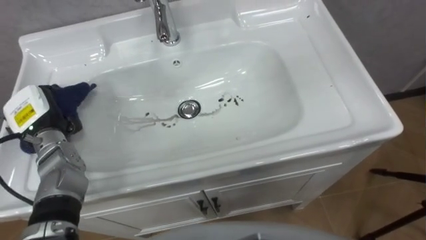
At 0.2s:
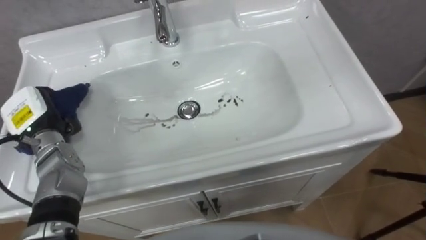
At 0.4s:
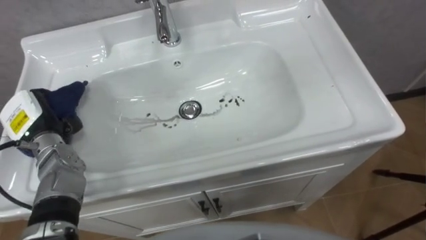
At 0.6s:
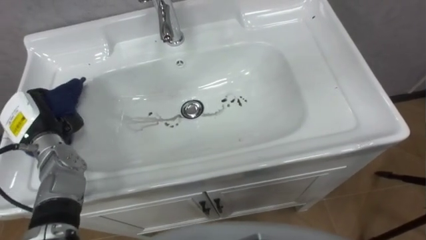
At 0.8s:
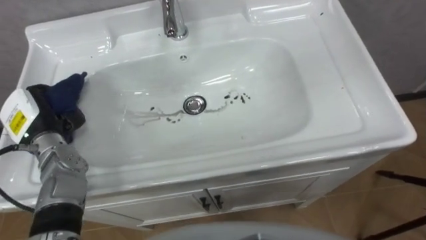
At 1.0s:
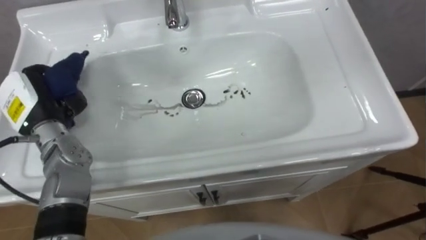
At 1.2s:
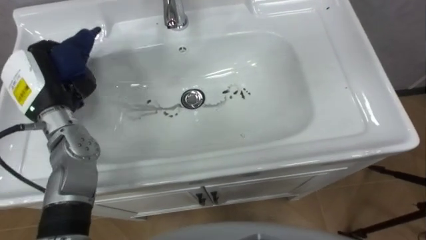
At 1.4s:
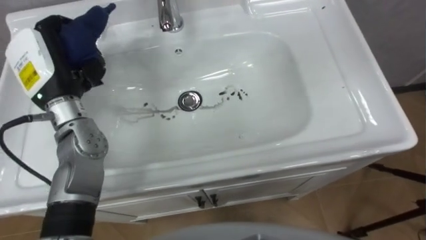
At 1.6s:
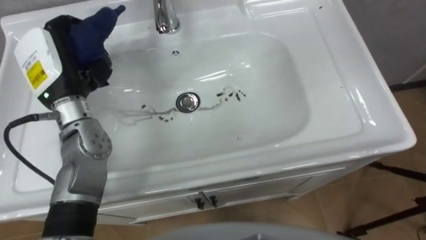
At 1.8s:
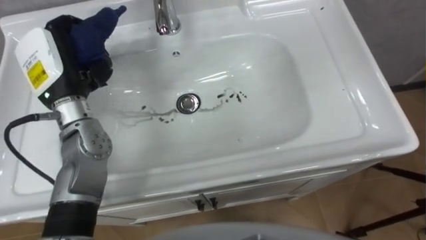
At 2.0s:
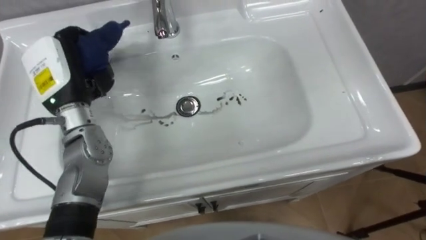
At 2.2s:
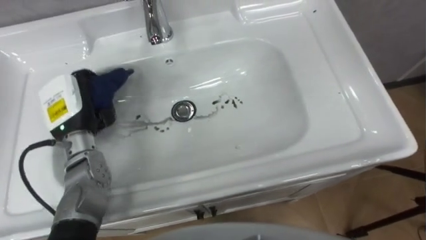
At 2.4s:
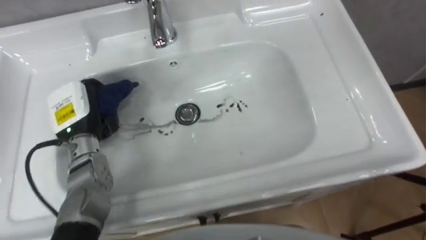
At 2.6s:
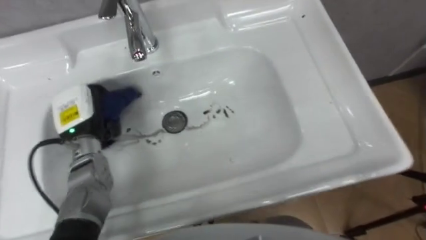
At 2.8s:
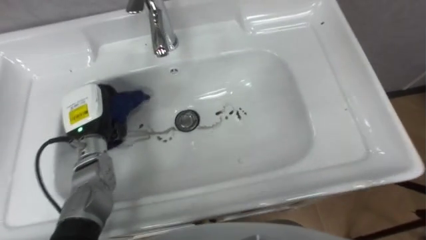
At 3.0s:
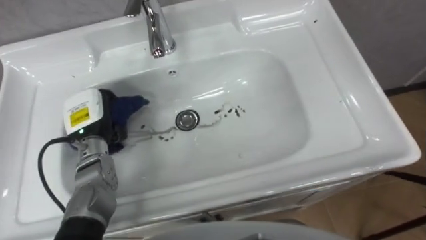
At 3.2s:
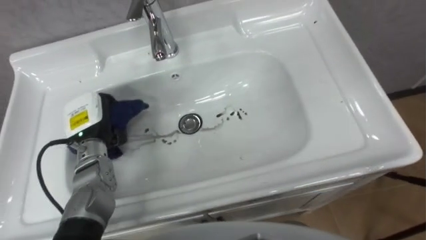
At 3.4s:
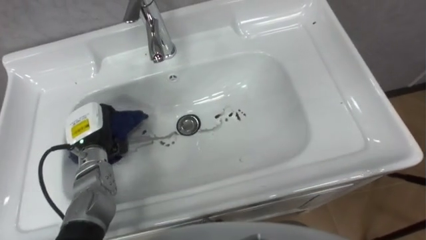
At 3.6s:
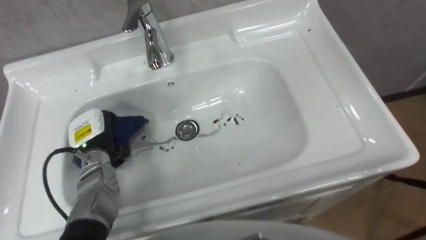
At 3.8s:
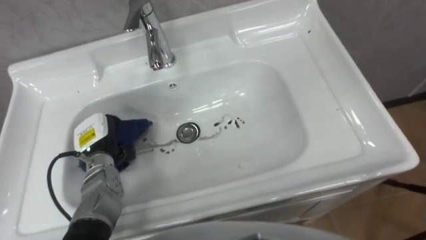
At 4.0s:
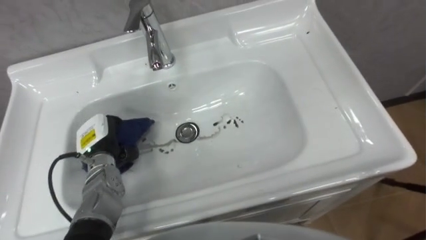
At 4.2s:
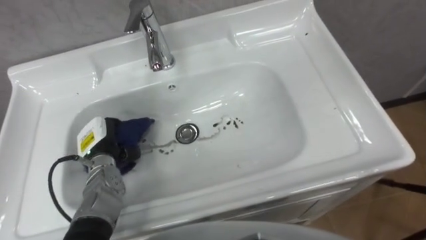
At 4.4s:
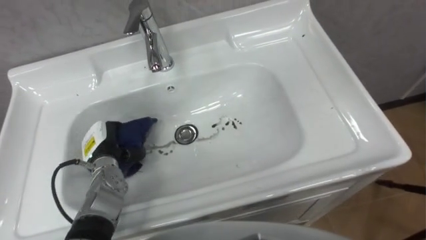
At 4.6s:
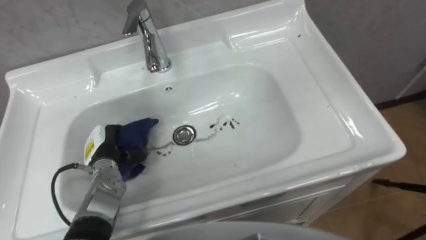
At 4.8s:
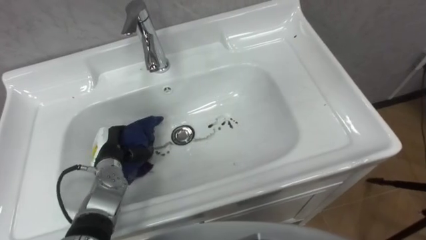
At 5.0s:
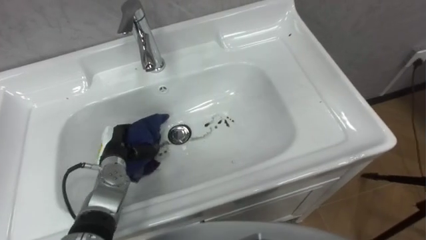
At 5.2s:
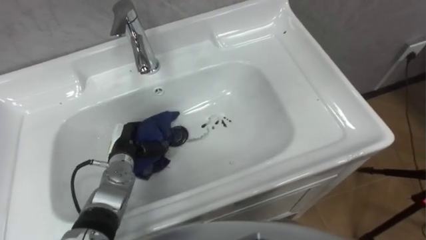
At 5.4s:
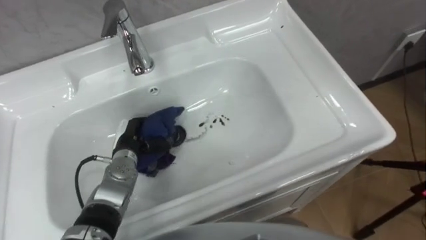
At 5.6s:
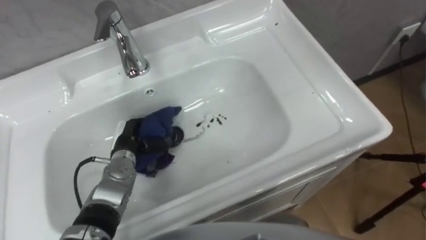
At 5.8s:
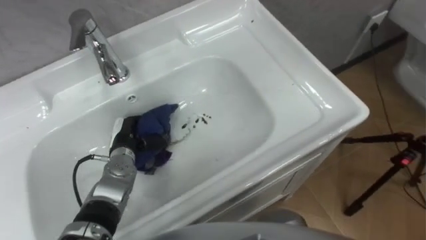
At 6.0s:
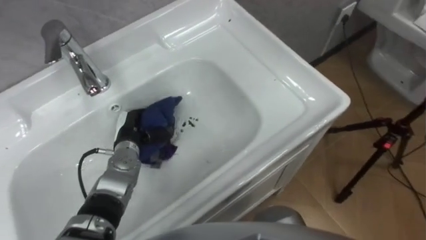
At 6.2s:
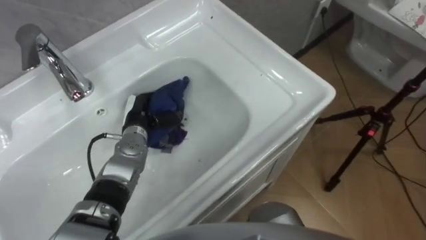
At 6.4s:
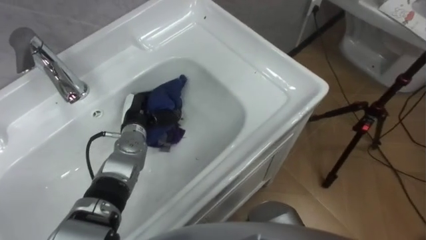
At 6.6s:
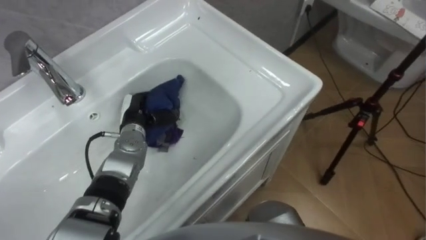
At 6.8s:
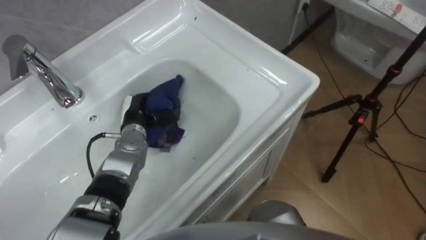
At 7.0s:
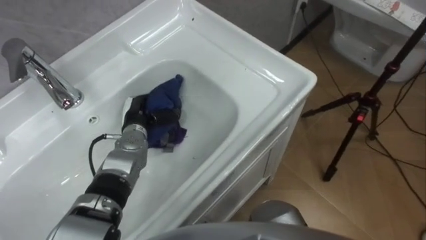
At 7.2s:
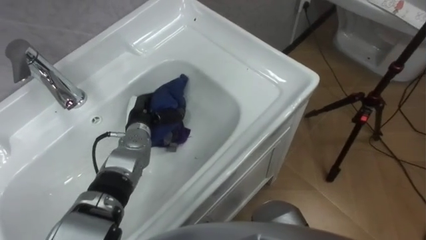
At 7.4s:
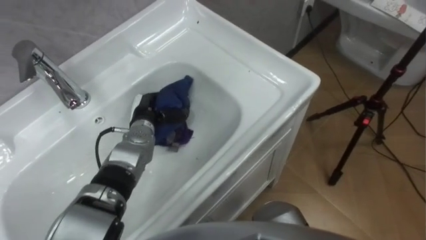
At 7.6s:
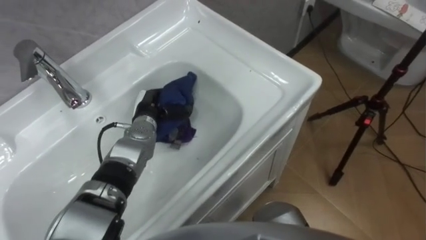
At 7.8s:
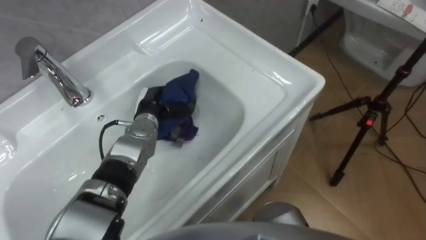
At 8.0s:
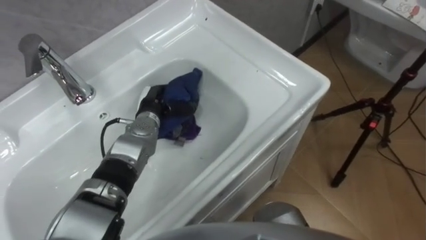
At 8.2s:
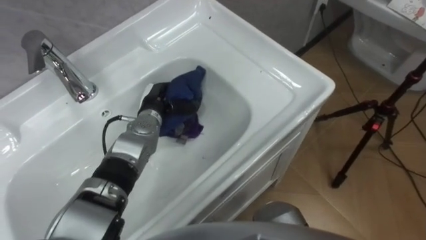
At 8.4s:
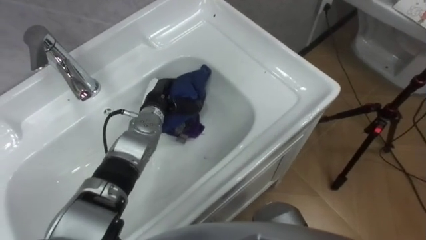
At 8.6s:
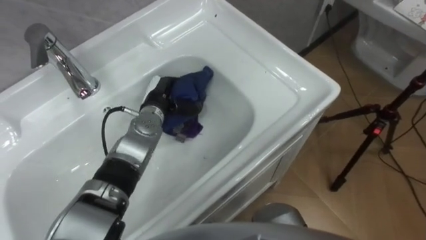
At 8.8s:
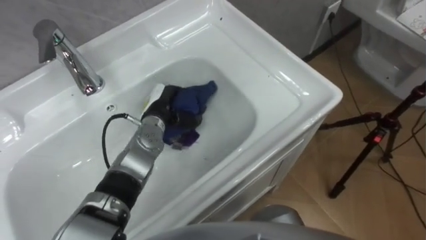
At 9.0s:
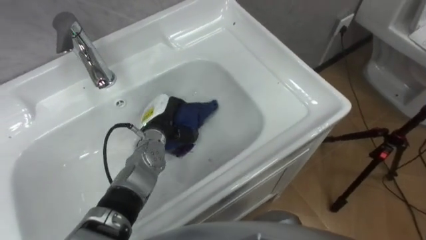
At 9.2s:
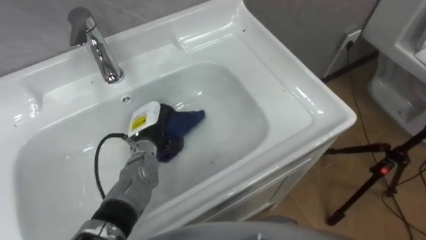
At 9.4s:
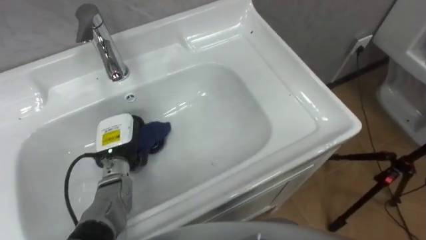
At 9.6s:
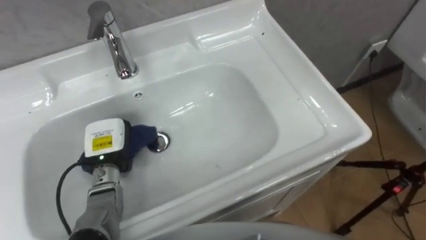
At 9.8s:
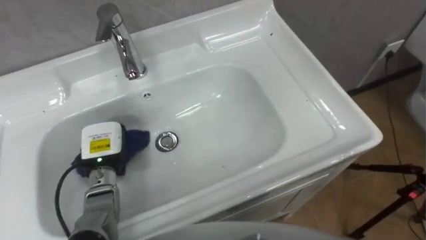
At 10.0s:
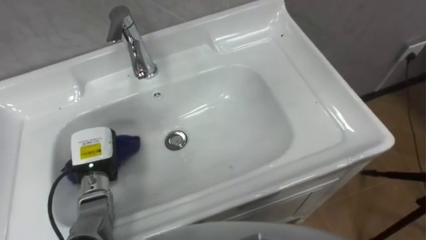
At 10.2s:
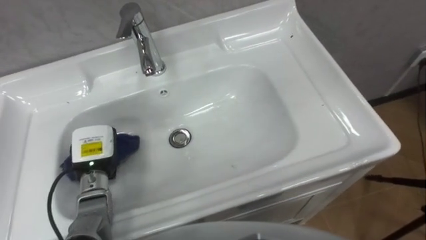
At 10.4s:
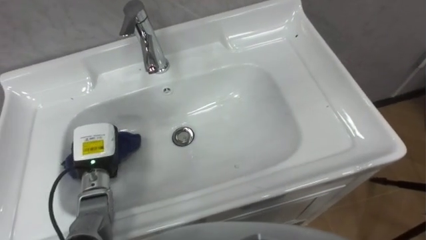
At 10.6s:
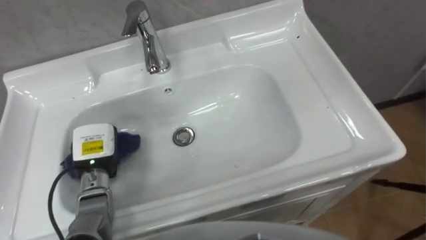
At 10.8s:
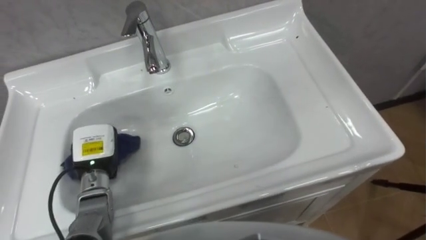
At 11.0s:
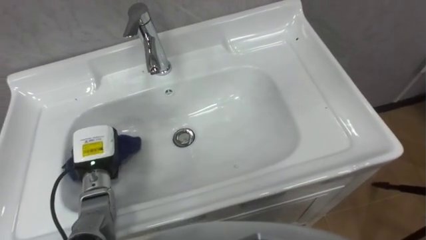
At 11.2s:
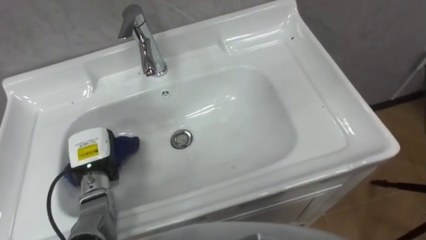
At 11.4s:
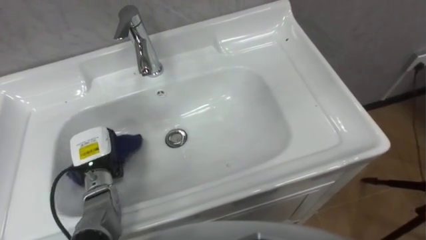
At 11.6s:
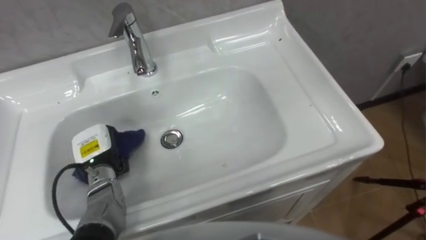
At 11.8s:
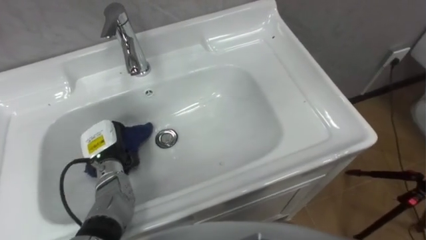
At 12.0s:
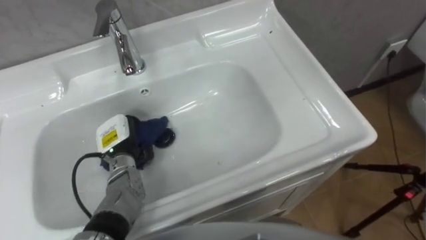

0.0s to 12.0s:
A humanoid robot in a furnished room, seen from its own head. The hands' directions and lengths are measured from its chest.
Task of the whole recording: Use the cloth on the right to wipe away the black stain in the sink.
0.0s to 1.6s: The left hand travels upward and to the right by about 15 cm.
1.6s to 3.0s: The left hand heads downward, covering some 10 cm.
3.0s to 4.4s: The left hand moves downward, approximately 10 cm.
4.4s to 6.0s: The left hand shifts approximately 5 cm to the right.
6.0s to 7.6s: The left hand goes roughly 5 cm forward.
9.0s to 10.4s: The left hand goes approximately 15 cm to the left and backward.
10.4s to 12.0s: The left hand changes place by approximately 5 cm.

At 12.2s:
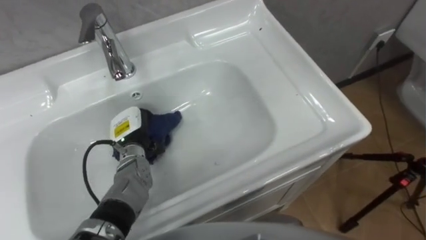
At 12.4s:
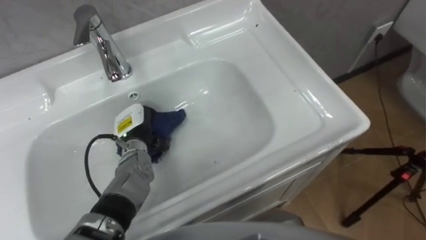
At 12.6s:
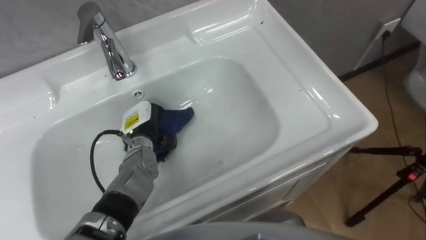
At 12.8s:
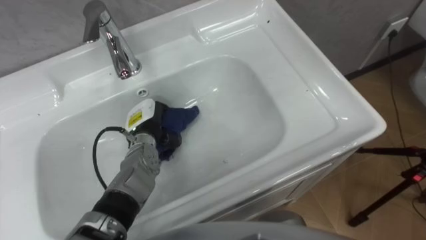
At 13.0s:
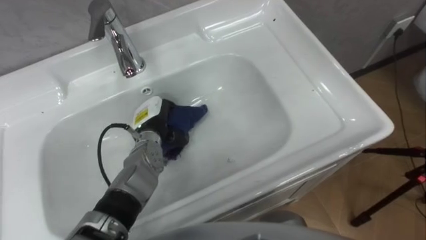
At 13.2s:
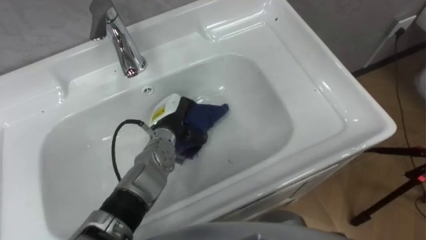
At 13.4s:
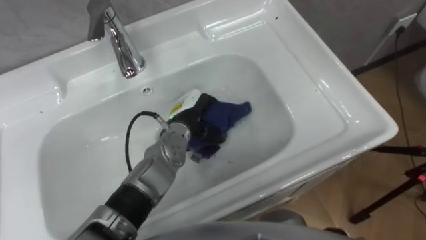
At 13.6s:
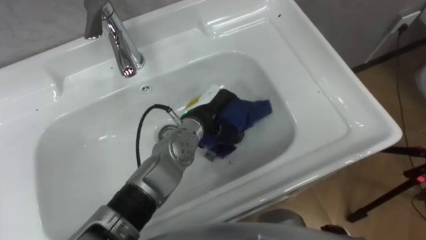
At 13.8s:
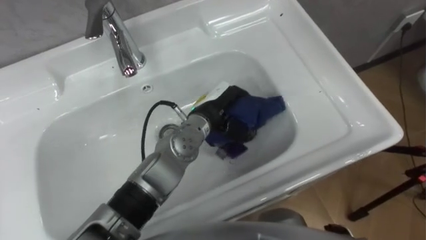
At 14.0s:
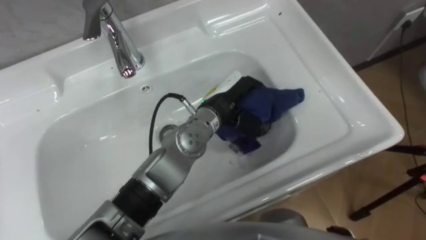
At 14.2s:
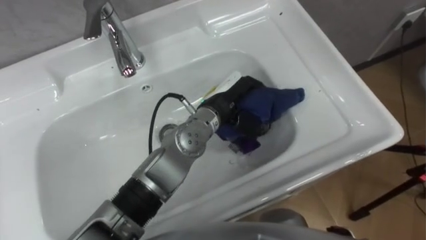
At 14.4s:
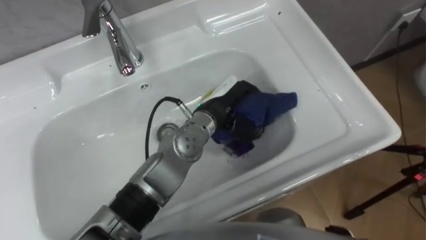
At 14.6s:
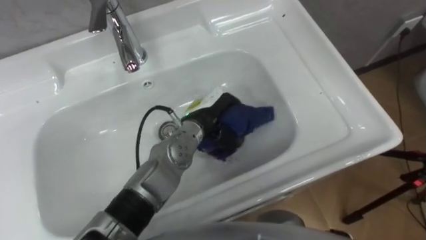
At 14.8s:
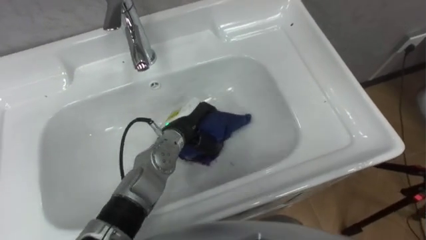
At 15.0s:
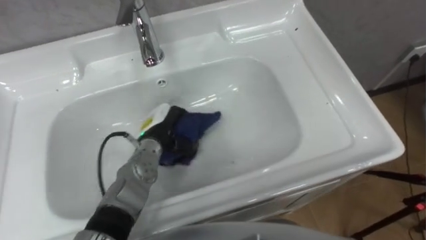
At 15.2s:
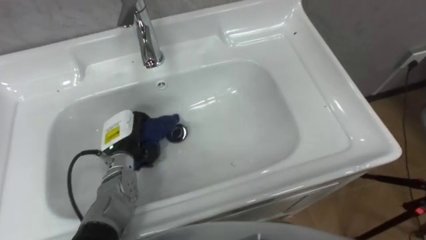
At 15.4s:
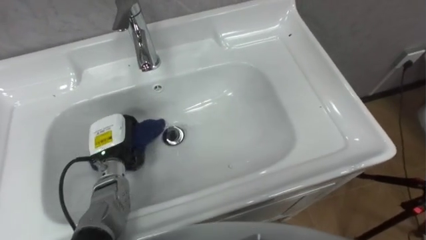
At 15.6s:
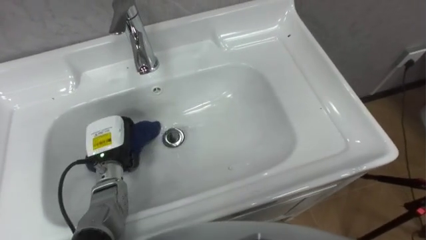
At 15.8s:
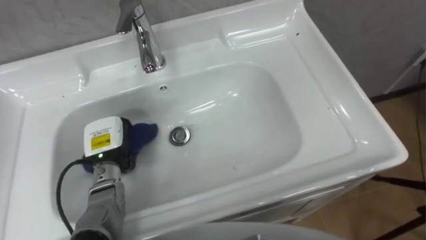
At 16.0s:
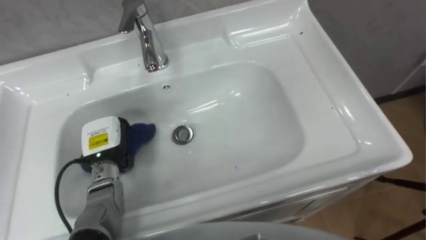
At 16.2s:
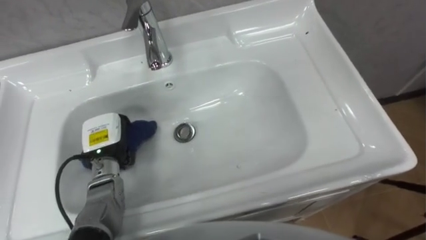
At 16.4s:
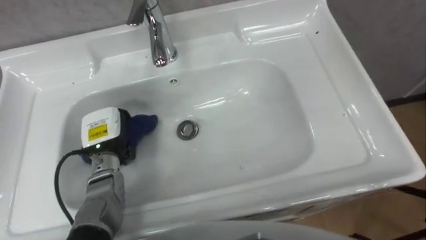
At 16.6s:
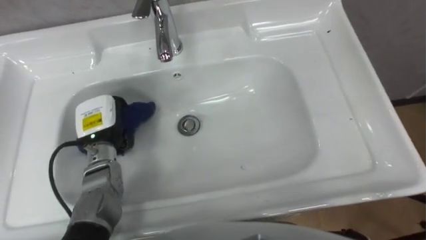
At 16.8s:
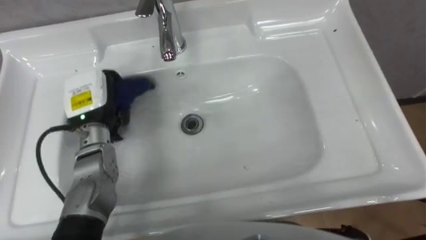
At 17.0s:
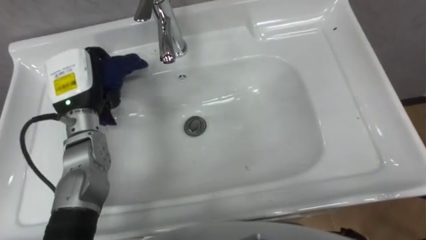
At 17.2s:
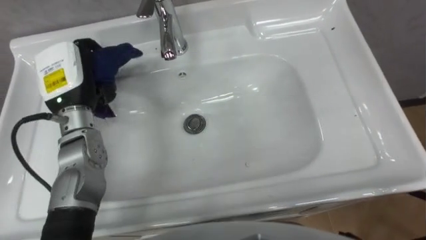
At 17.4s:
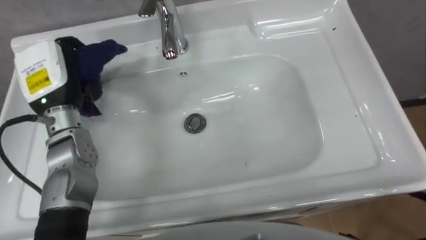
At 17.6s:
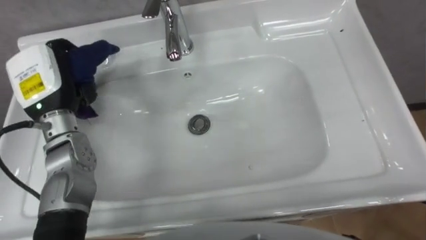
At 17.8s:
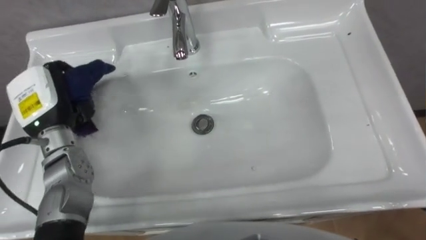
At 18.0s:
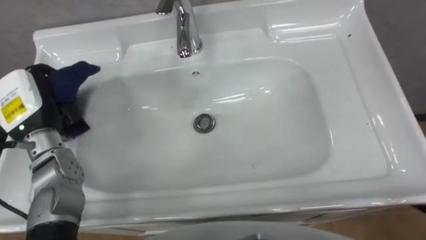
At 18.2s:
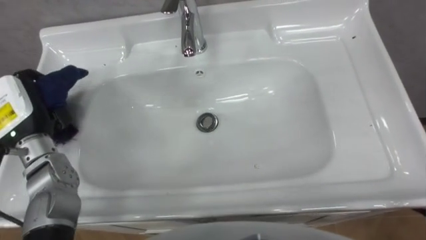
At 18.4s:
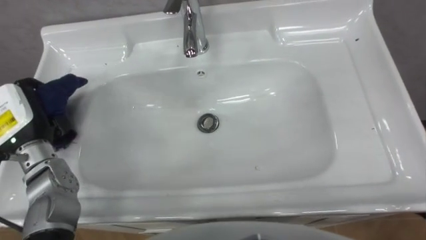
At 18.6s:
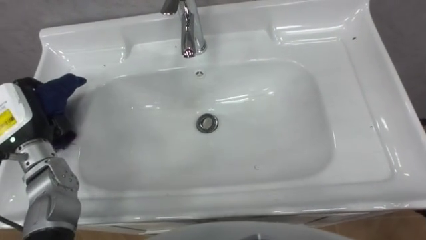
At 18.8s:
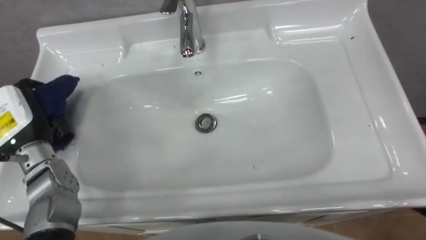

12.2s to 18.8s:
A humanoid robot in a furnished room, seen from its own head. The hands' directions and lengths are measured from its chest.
Task of the whole recording: Use the cloth on the right to wipe away the black stain in the sink.
12.2s to 13.8s: The left hand shifts approximately 20 cm to the right and upward.
13.8s to 15.4s: The left hand is displaced to the left by some 20 cm.
15.4s to 17.2s: The left hand travels upward and forward by about 15 cm.
17.2s to 18.8s: The left hand travels to the left and backward by roughly 10 cm.
